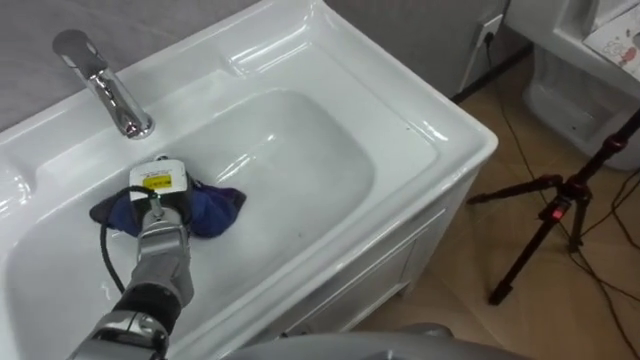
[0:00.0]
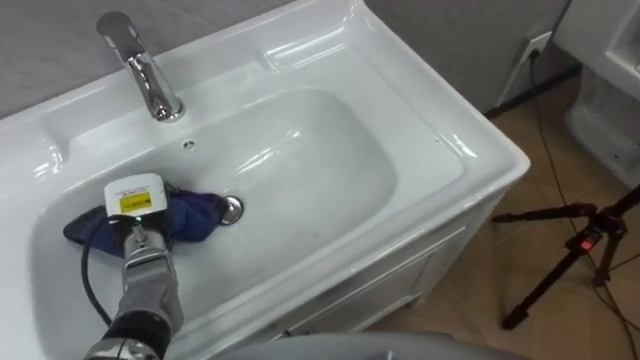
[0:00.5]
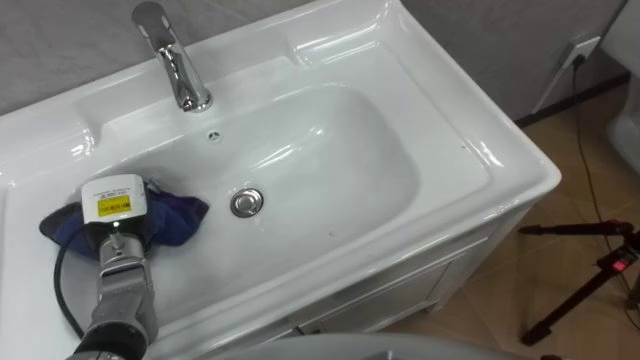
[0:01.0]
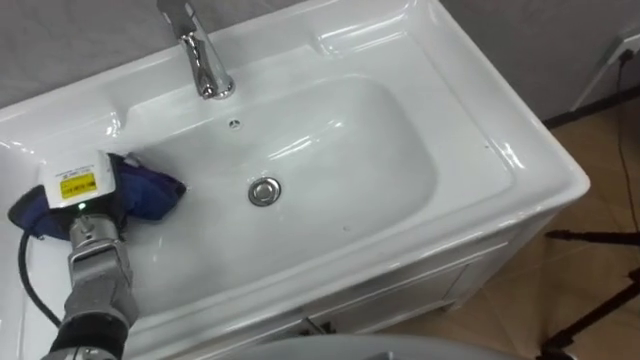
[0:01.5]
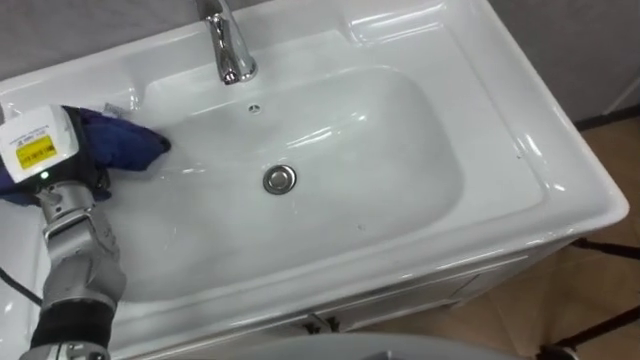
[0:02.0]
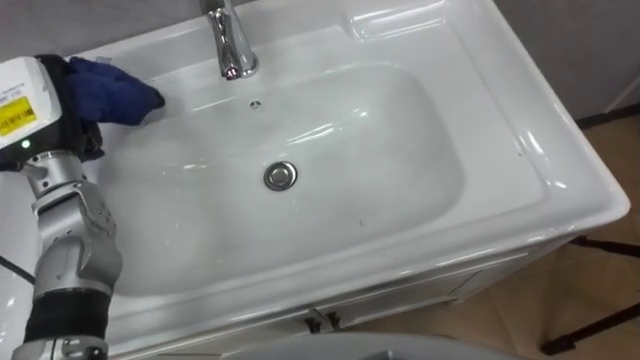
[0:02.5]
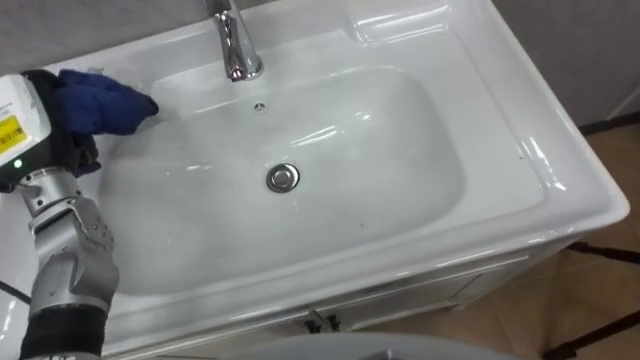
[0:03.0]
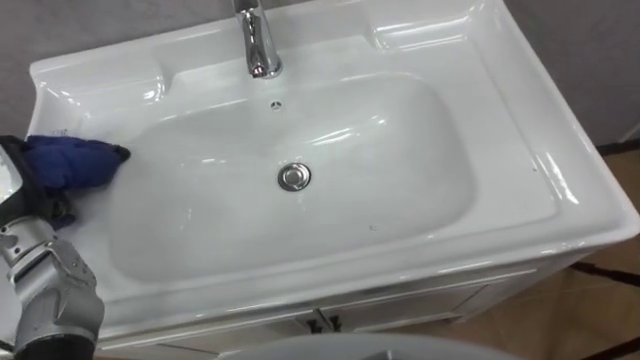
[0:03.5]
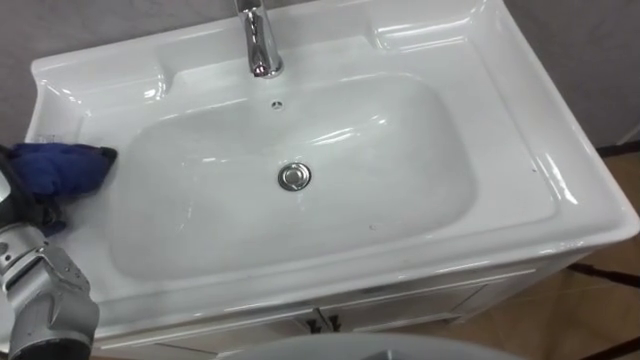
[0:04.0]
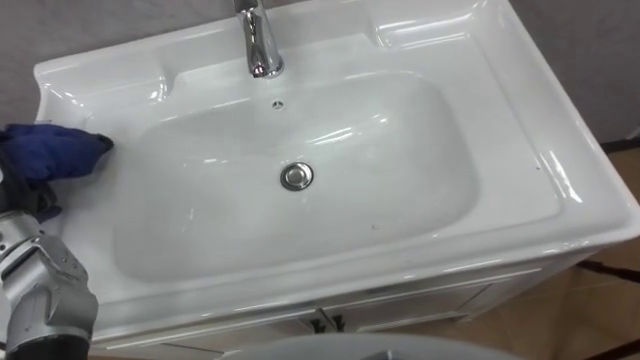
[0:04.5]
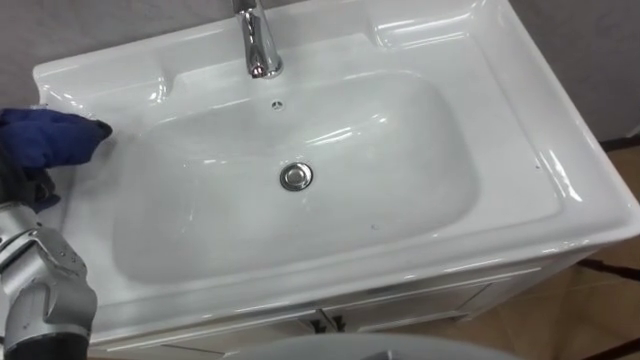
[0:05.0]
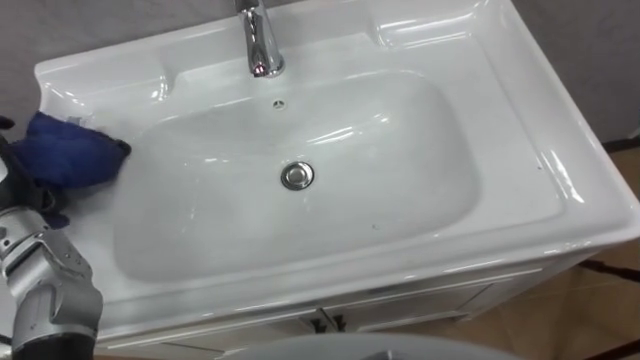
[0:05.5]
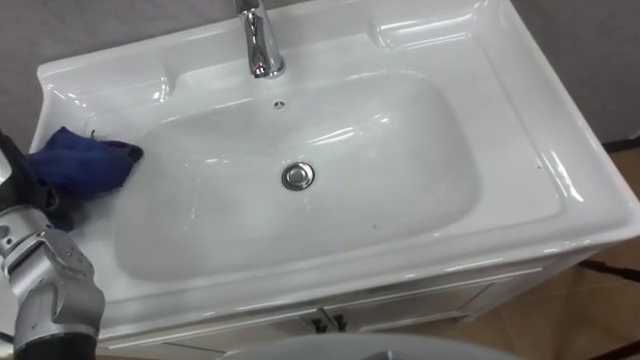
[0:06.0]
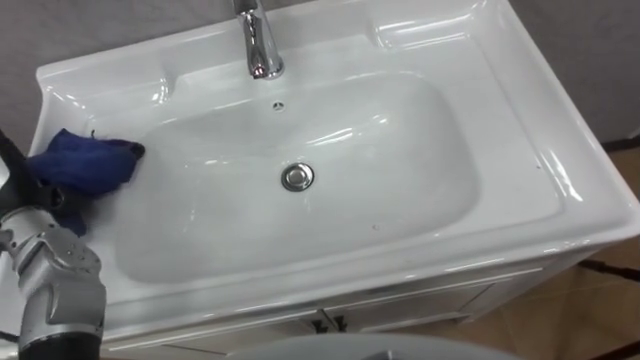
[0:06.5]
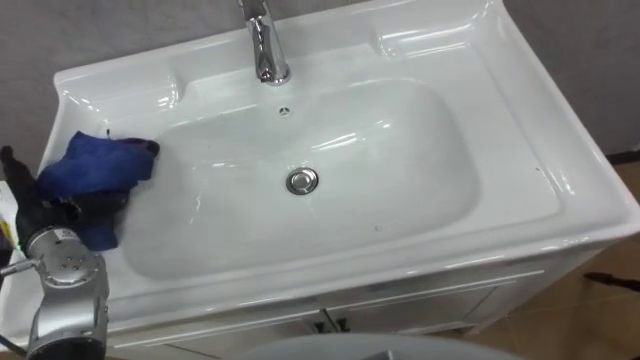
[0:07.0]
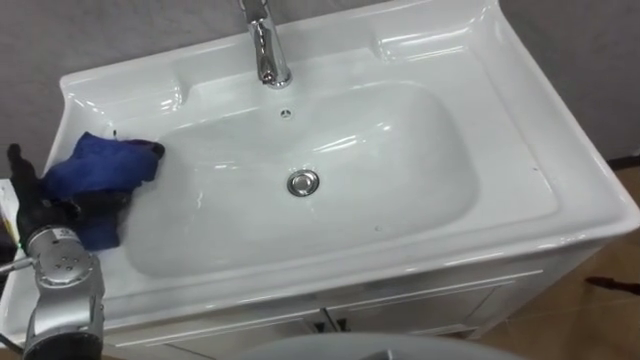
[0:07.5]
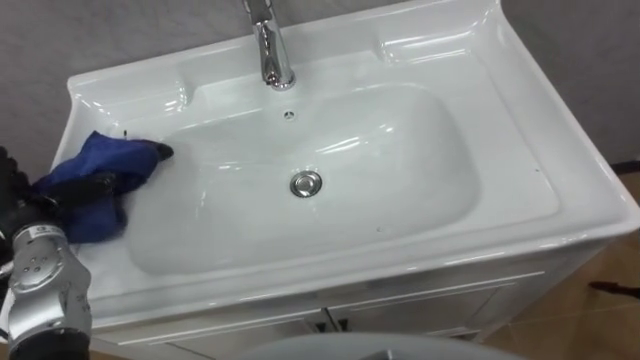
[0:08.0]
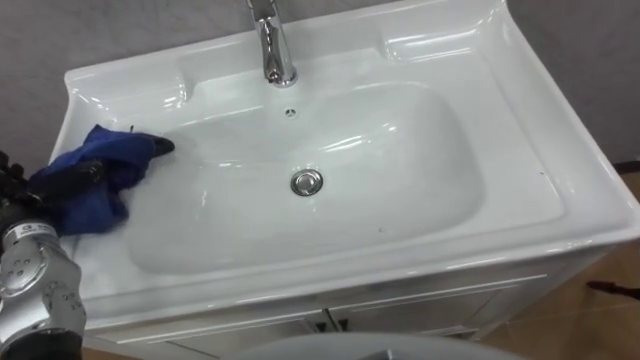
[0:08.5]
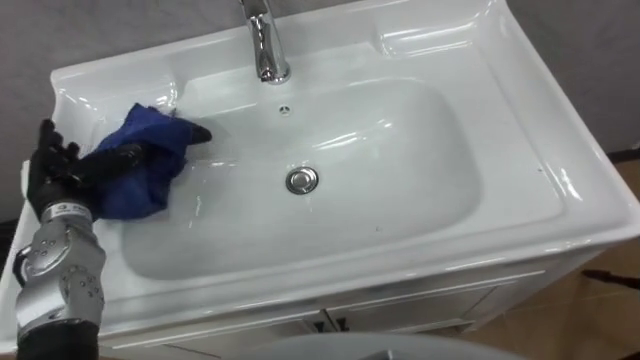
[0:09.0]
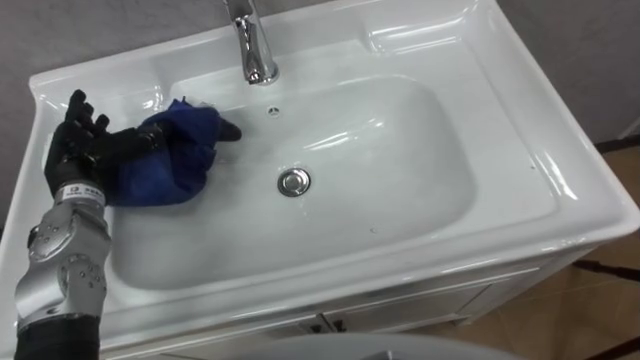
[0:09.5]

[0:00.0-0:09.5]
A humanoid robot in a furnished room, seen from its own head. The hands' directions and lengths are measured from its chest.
Task of the whole recording: Use the cloth on the right to wipe away the black stain in the sink.
0:00.0 to 0:02.0: The left hand shifts some 15 cm upward and to the left.
0:07.5 to 0:09.5: The left hand shifts about 10 cm forward and to the right.

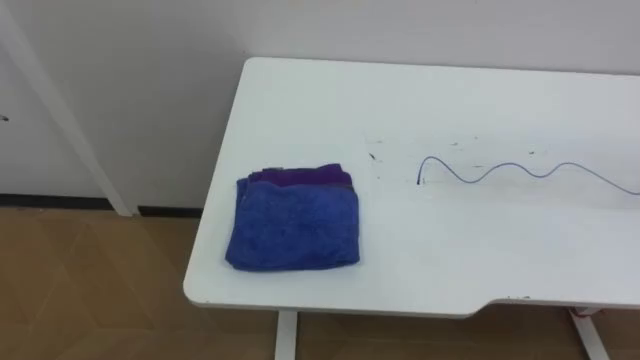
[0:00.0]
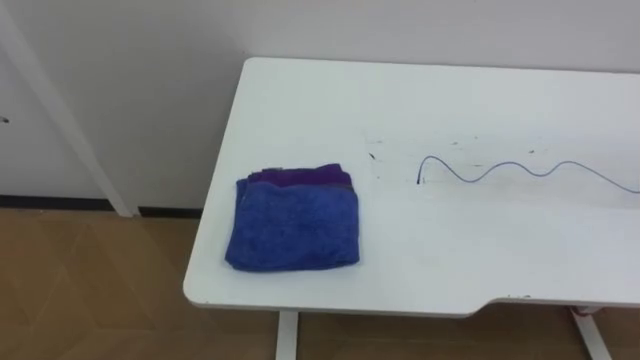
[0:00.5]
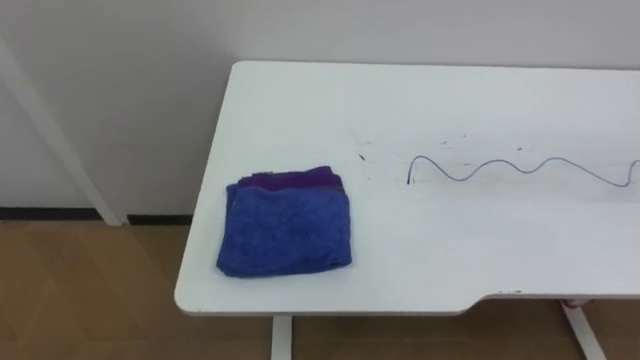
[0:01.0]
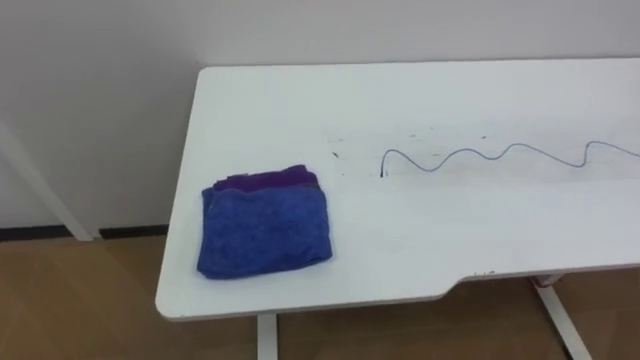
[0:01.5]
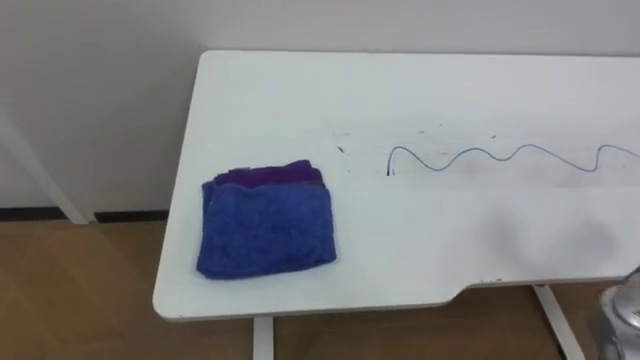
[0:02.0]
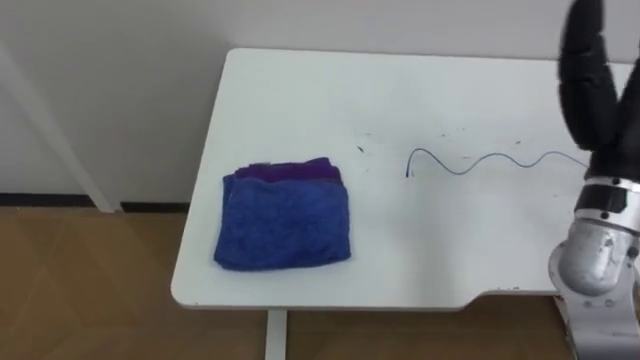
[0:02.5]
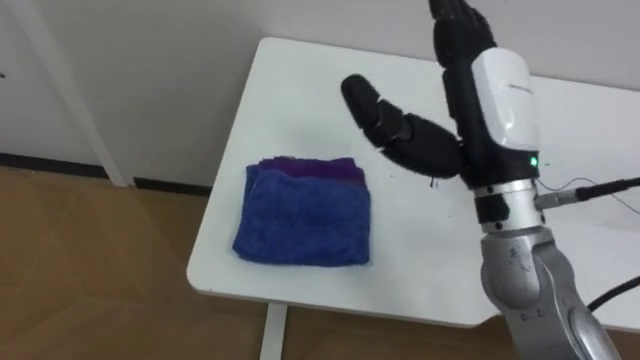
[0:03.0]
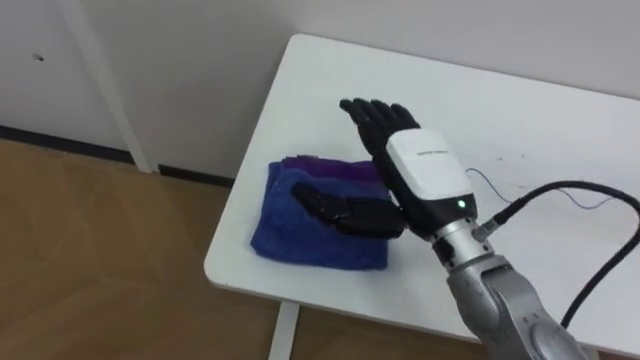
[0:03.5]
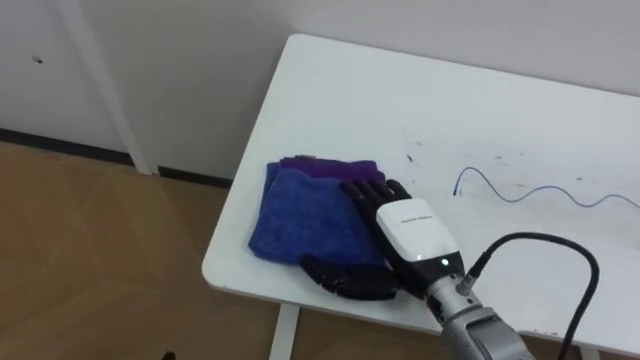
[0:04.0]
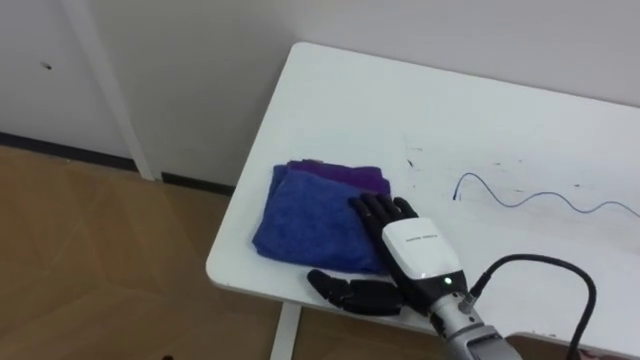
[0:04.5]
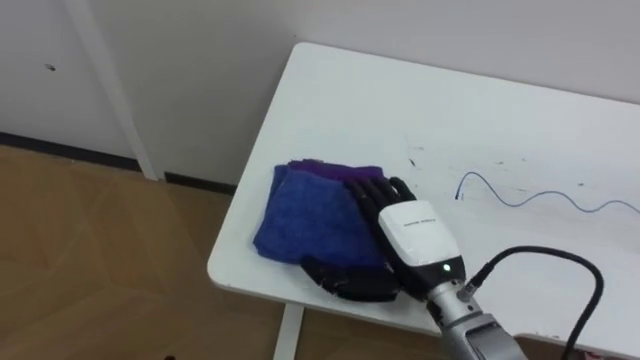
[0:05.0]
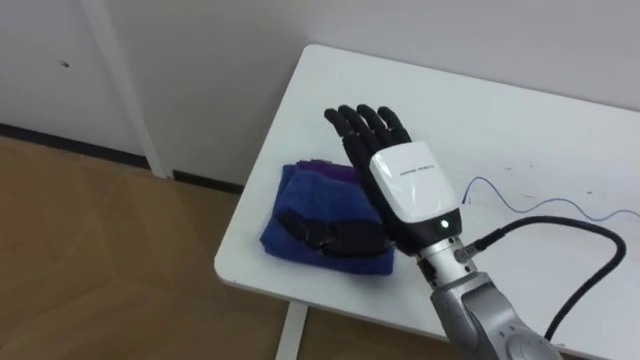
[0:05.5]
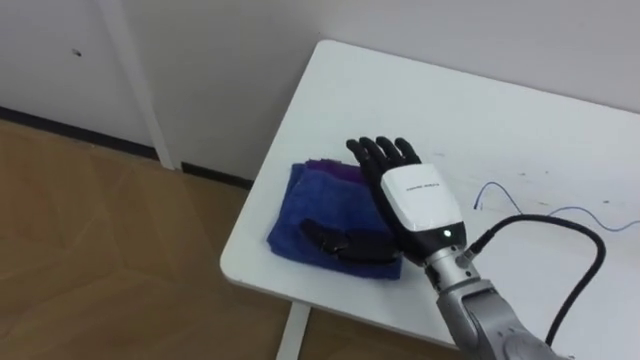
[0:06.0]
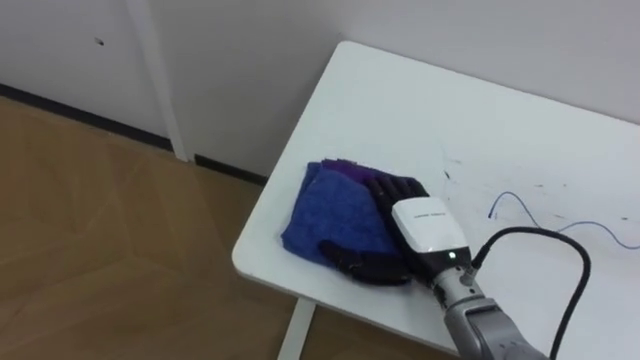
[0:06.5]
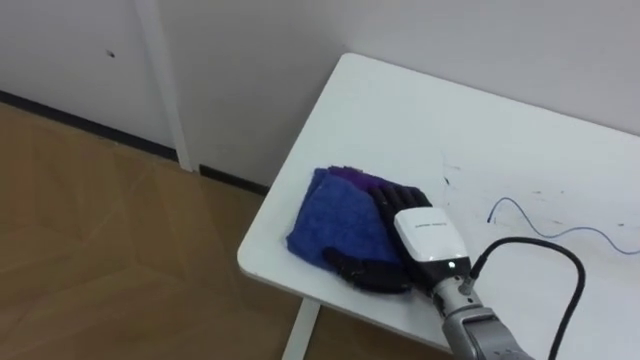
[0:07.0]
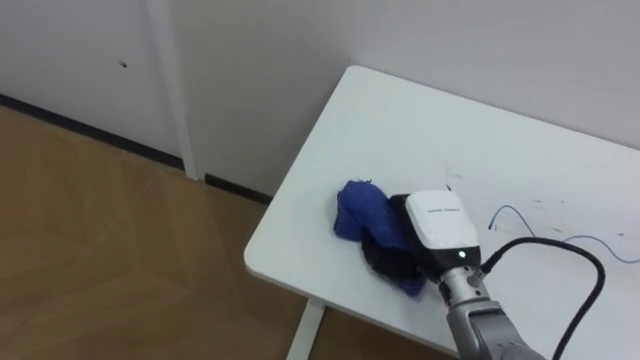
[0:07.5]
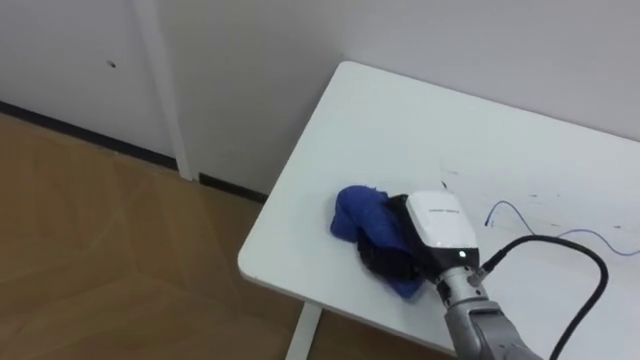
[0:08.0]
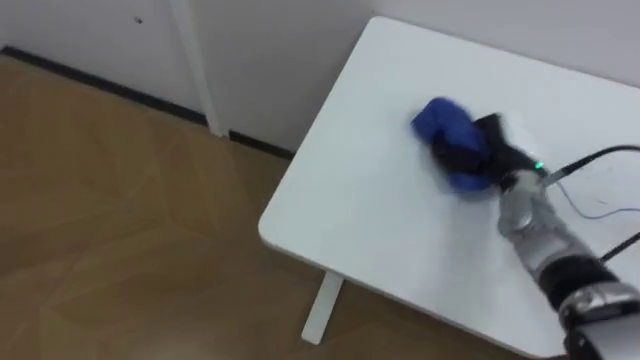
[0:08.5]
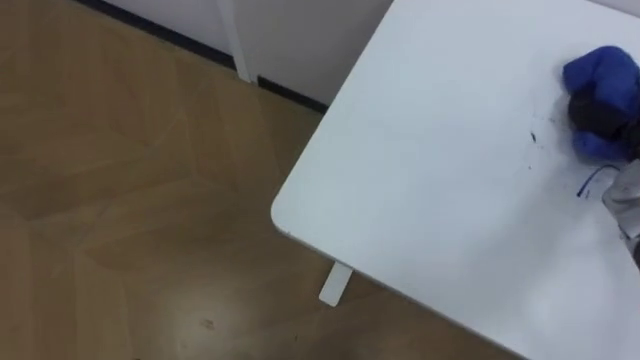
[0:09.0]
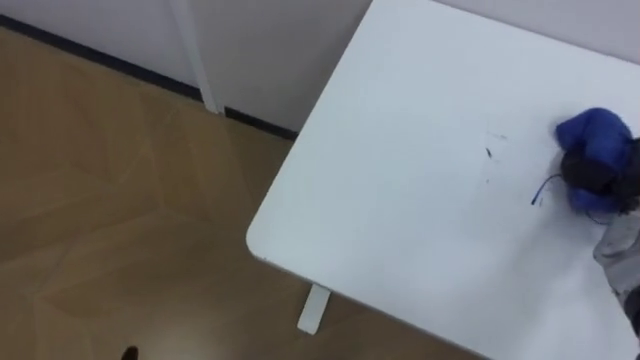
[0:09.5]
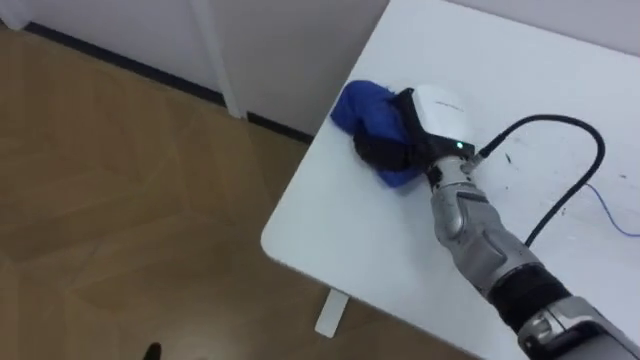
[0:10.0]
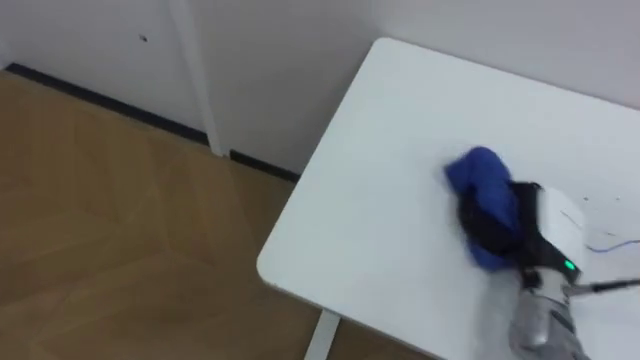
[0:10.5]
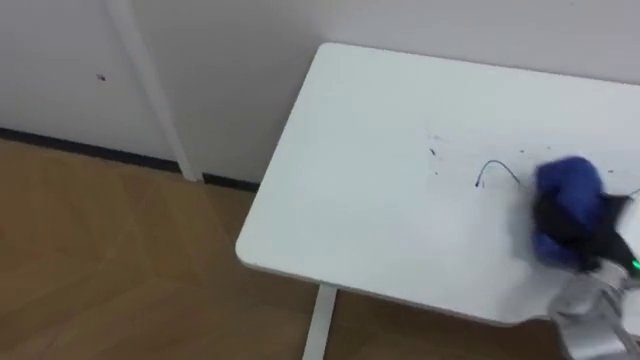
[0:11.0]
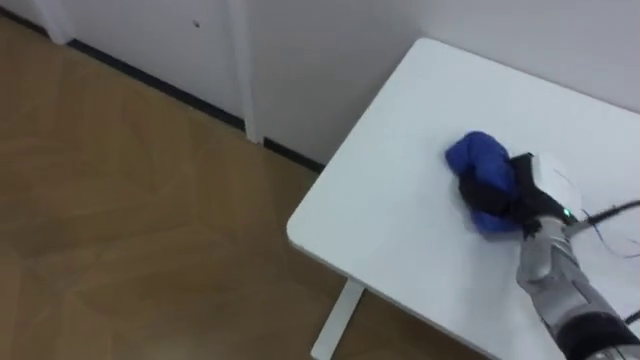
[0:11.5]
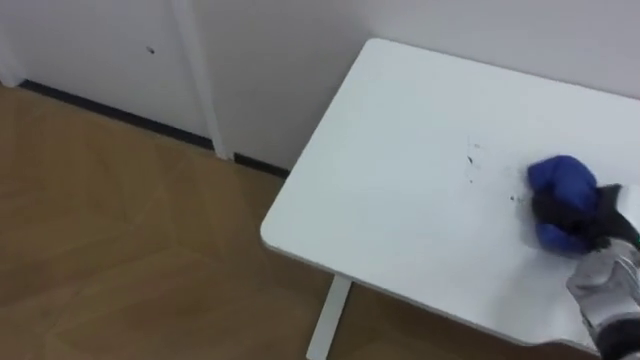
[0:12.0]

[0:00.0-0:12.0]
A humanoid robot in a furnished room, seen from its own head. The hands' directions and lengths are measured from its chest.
Task of the whole recording: Wipe the blue pen marks off the table with the rag.
0:04.0 to 0:06.0: The right hand goes upward and returns, approximately 10 cm each way.
0:06.0 to 0:08.0: The right hand shifts some 5 cm downward, and closes.
